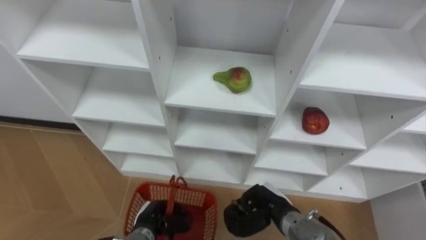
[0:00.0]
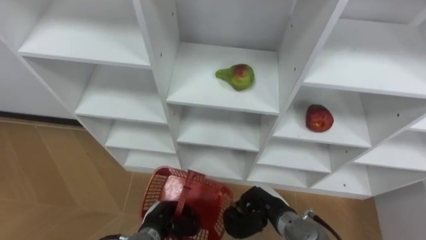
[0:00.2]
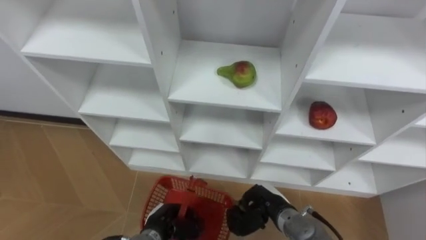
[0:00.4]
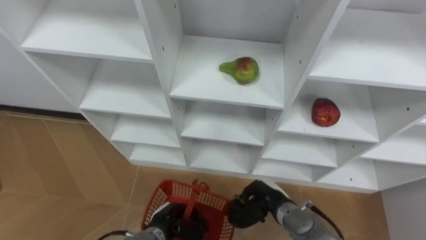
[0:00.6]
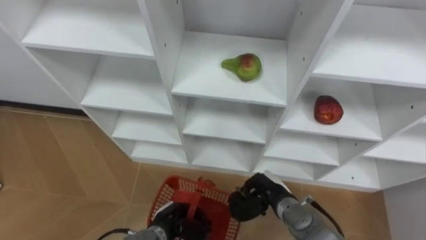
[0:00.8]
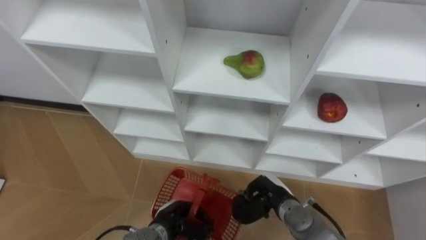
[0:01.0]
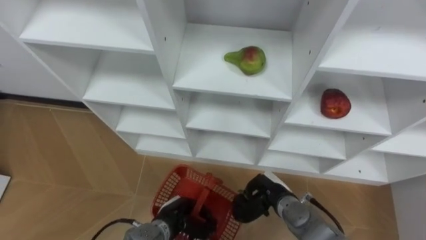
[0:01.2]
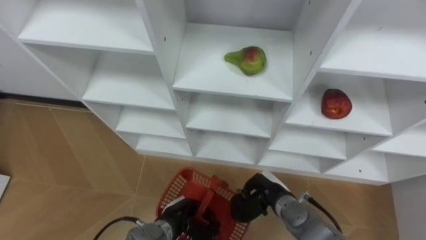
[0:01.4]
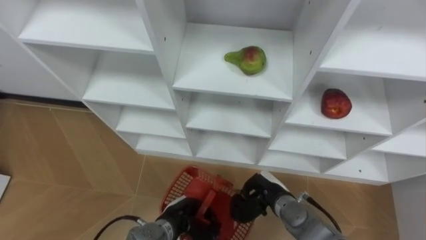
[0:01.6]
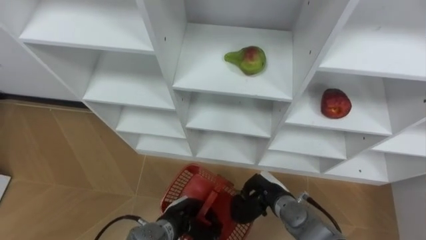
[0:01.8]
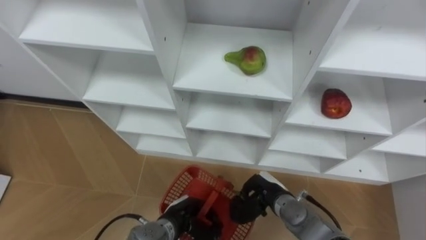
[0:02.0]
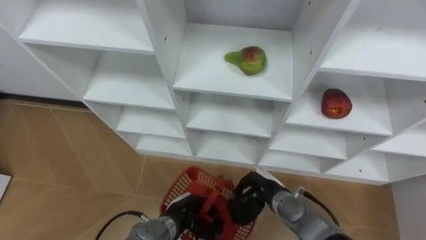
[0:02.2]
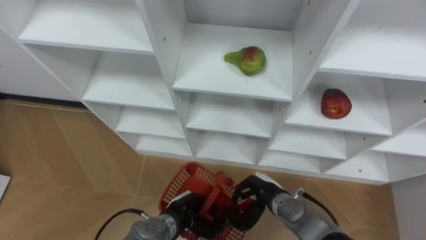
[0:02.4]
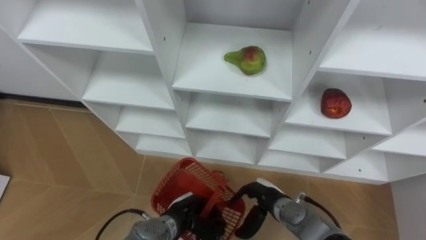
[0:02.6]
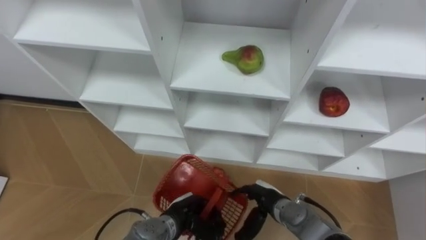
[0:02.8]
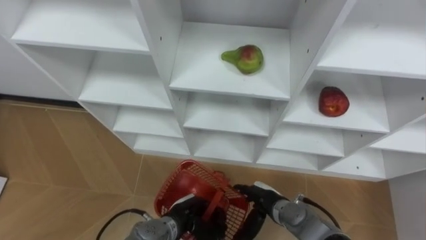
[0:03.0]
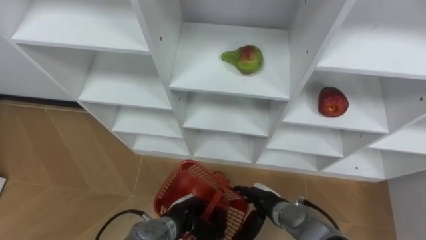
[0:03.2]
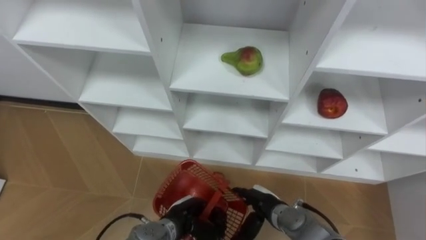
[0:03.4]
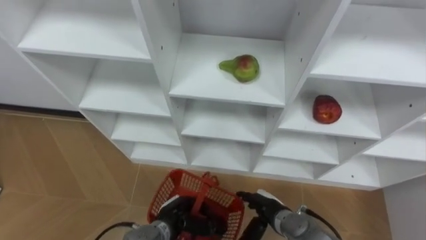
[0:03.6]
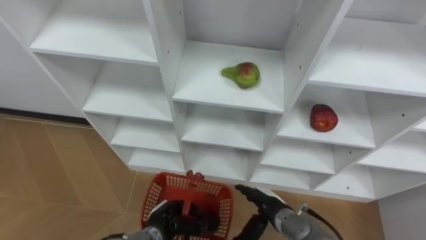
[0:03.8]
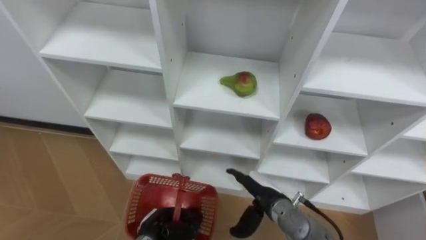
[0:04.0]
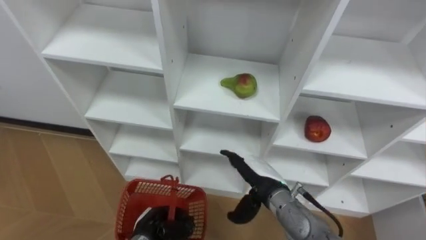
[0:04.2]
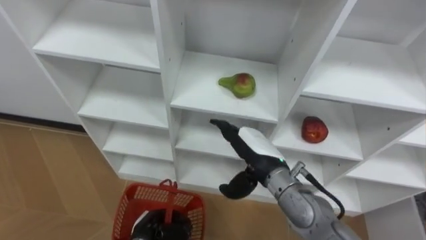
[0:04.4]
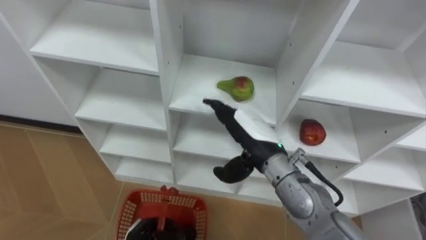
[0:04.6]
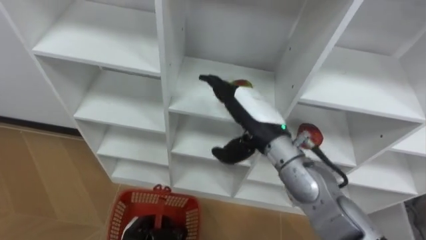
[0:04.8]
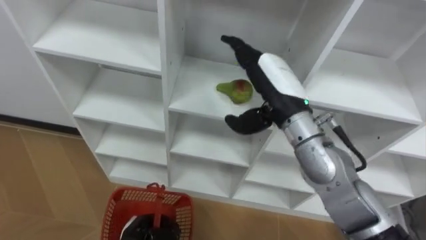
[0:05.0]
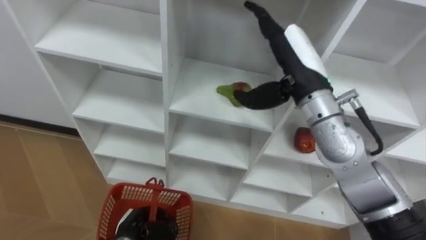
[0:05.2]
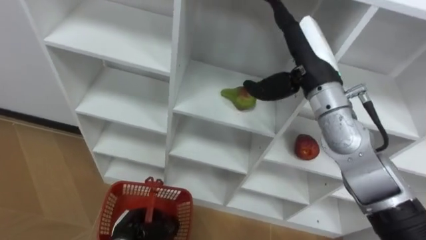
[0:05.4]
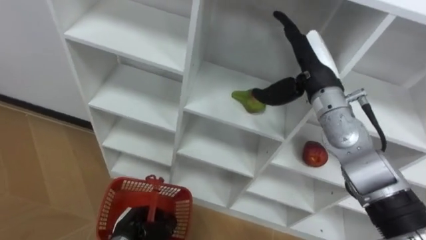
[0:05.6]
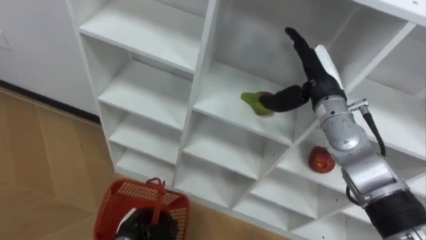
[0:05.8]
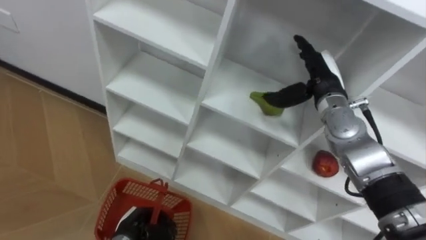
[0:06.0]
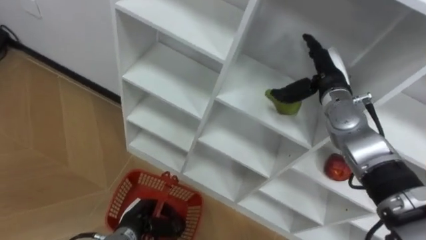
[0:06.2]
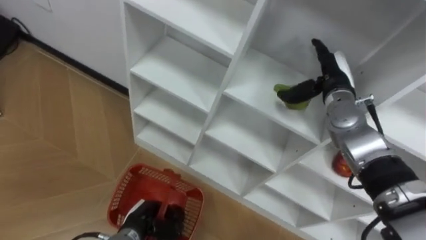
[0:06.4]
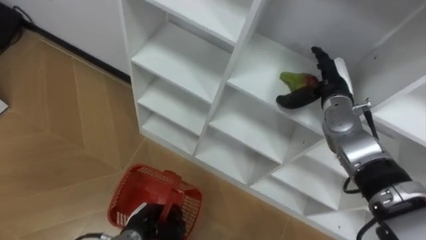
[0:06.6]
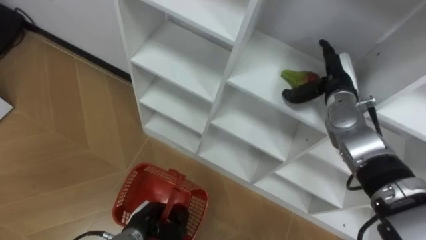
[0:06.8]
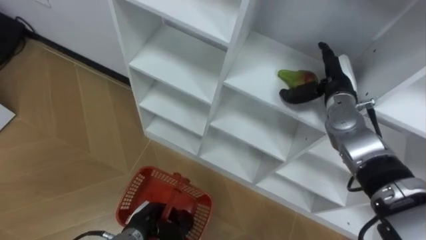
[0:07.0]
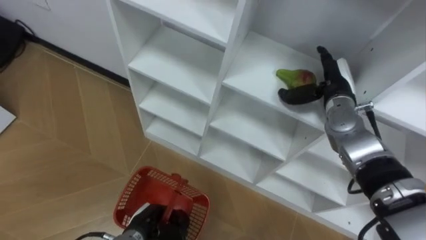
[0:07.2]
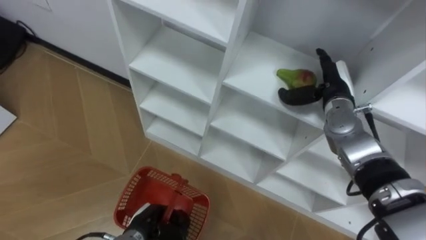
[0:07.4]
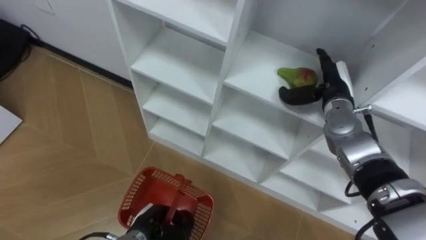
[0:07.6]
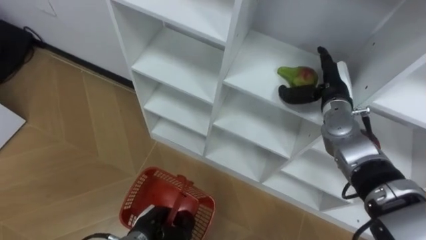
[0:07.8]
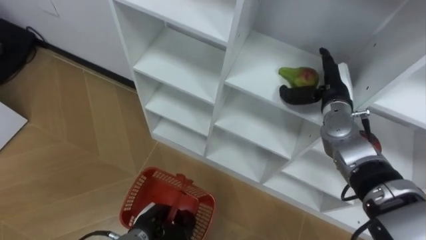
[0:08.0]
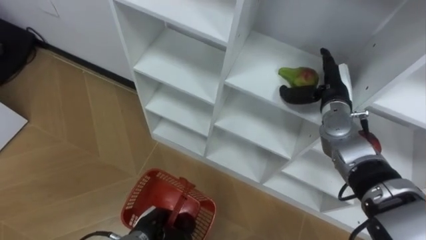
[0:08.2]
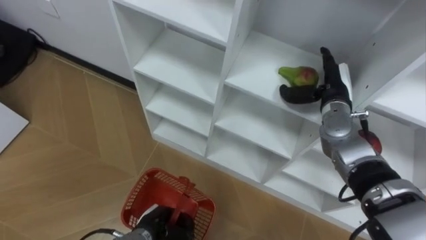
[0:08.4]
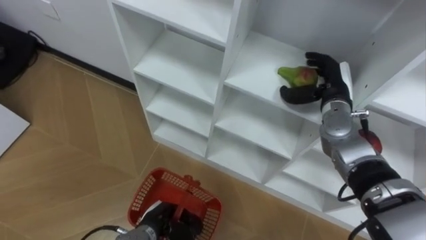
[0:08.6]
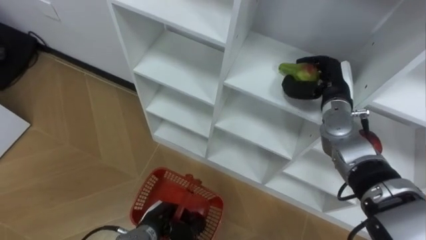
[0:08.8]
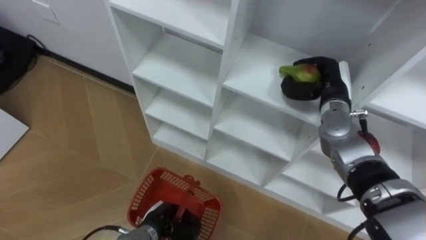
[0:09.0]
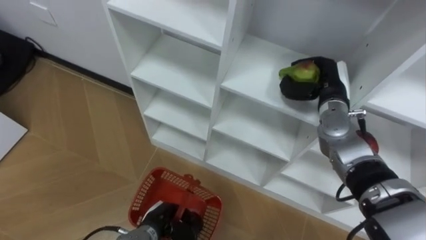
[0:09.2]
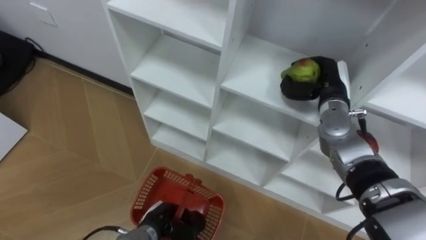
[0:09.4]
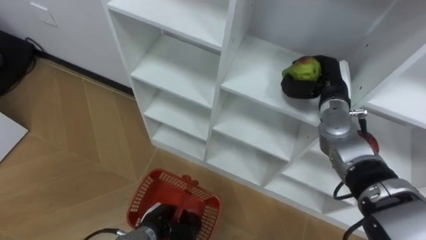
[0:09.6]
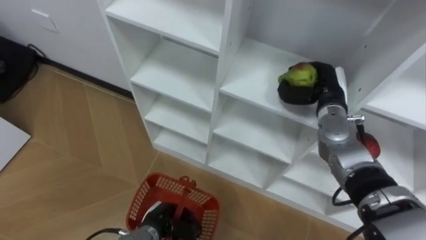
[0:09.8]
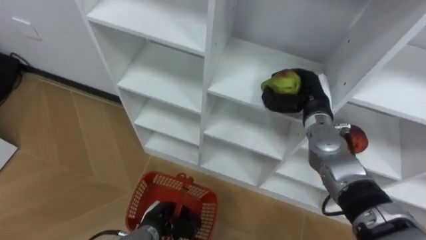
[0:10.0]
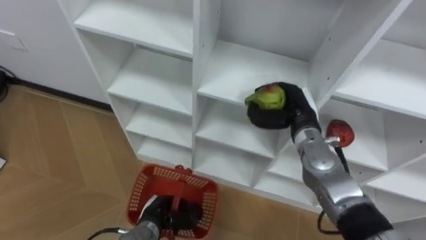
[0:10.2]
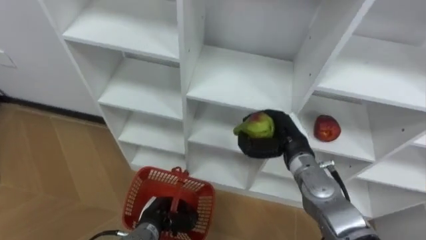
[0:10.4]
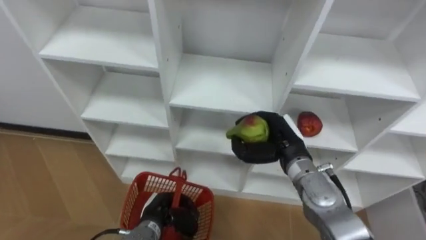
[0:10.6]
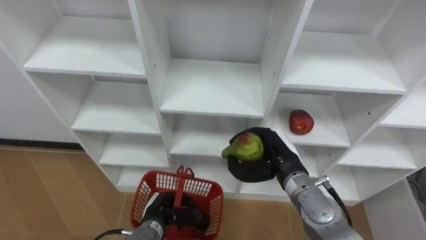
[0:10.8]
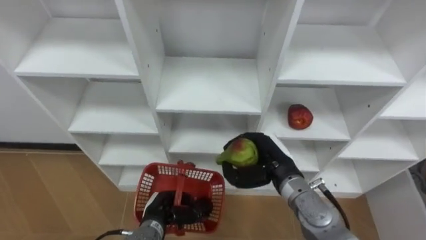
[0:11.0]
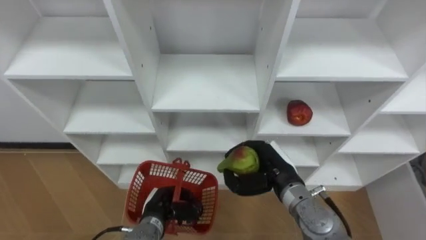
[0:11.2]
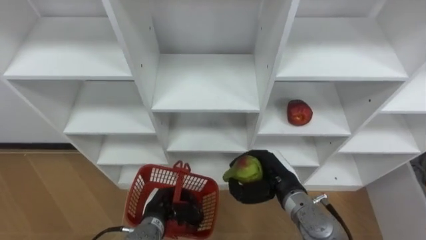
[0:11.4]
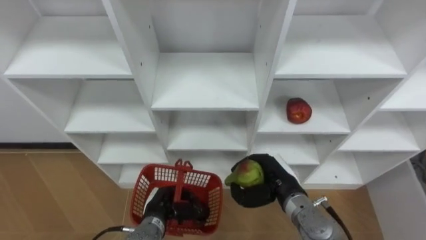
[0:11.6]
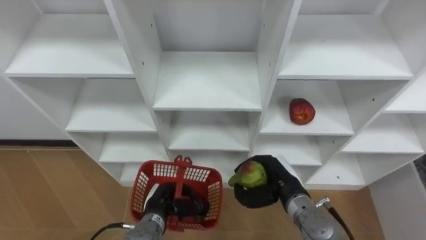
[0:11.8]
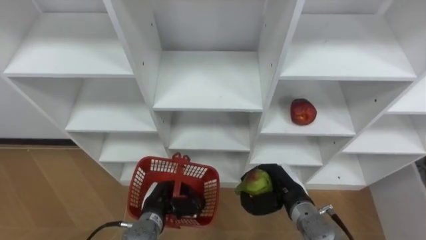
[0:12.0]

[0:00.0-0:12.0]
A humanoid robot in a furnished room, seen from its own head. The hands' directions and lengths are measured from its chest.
Task of the whole recording: Hold the basket and collect the fruits from 3 different cells of the closet into it.
0.0 to 1.6 s: The left hand moves to the right, some 5 cm.
1.6 to 3.0 s: The right hand opens.
3.0 to 4.4 s: The left hand heads to the left, covering some 10 cm. Meanwhile the right hand is displaced upward by approximately 15 cm.
4.4 to 6.0 s: The right hand is displaced forward, to the right and upward by roughly 20 cm.
6.0 to 7.6 s: The right hand changes place by some 5 cm.
7.6 to 9.0 s: The right hand closes its fingers.
9.0 to 10.4 s: The right hand is displaced backward and to the left by approximately 10 cm.
10.4 to 12.0 s: The right hand moves backward and downward, roughly 10 cm.

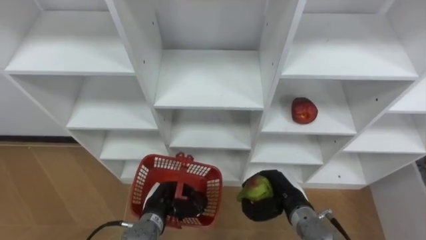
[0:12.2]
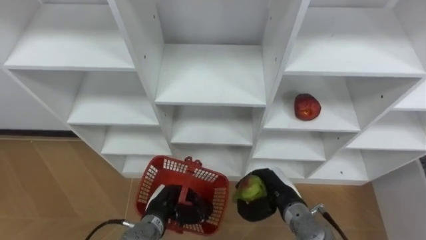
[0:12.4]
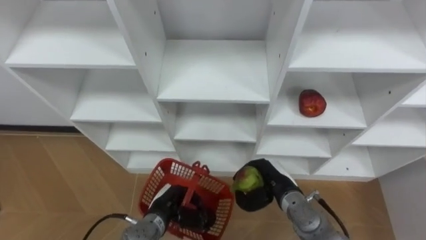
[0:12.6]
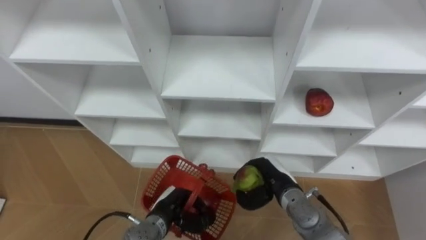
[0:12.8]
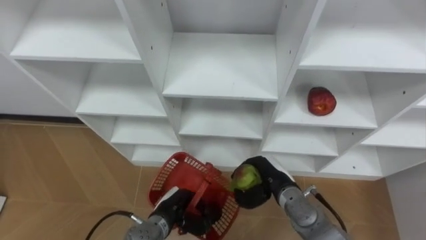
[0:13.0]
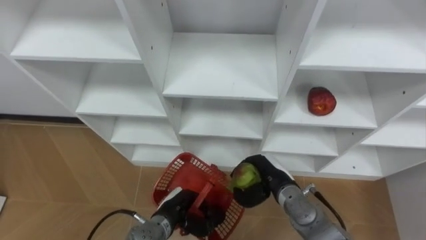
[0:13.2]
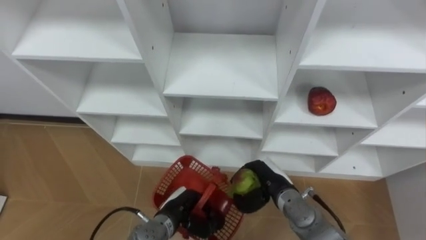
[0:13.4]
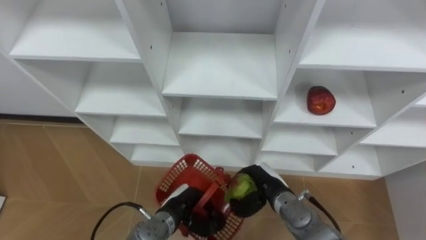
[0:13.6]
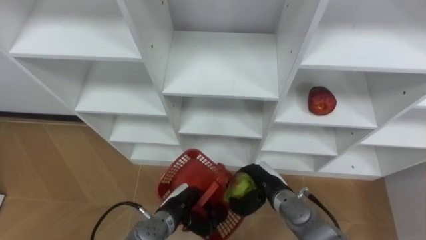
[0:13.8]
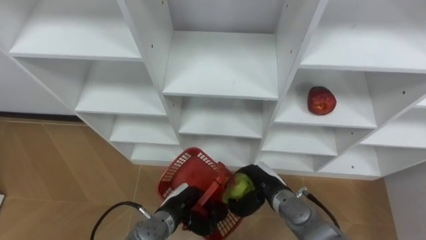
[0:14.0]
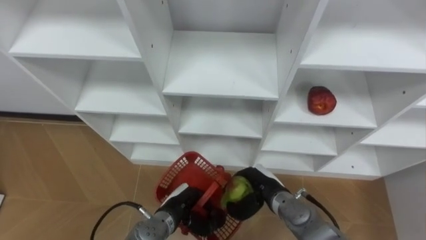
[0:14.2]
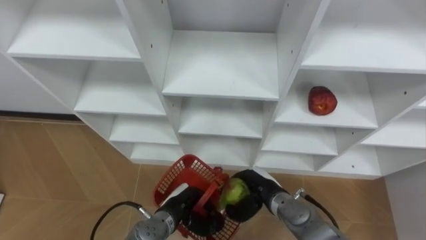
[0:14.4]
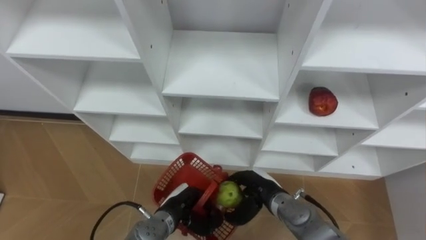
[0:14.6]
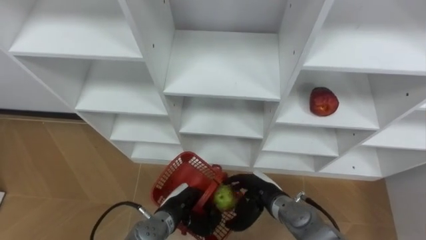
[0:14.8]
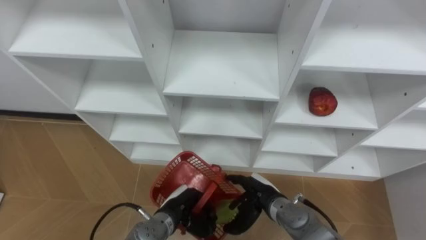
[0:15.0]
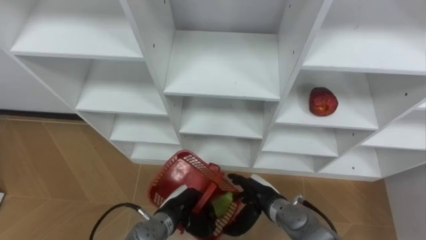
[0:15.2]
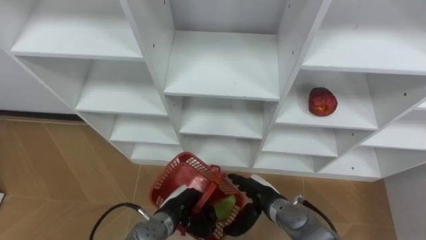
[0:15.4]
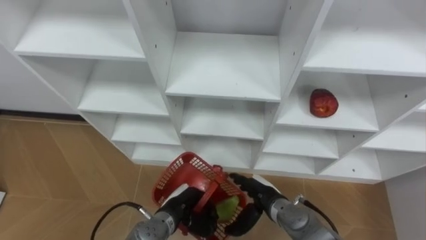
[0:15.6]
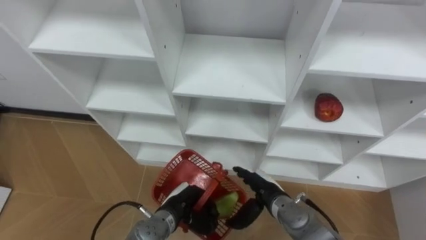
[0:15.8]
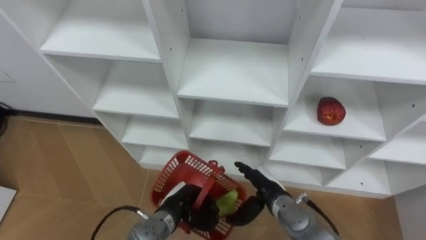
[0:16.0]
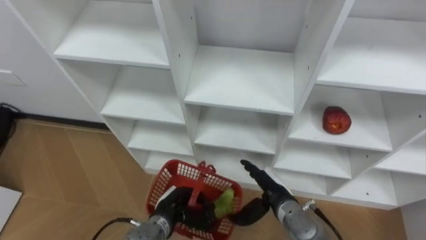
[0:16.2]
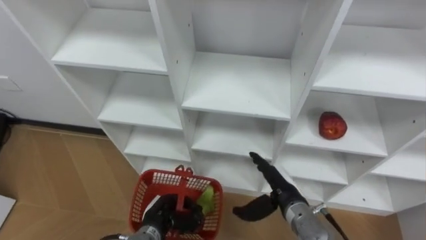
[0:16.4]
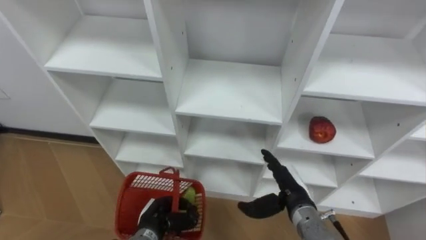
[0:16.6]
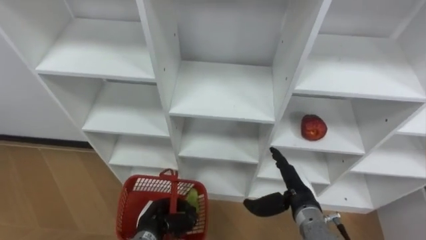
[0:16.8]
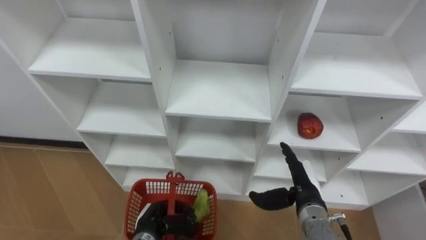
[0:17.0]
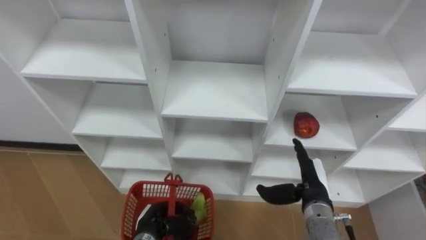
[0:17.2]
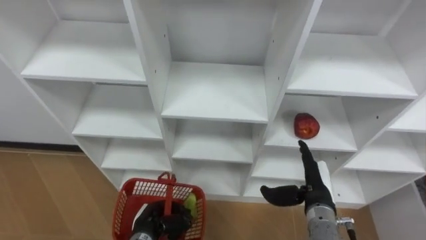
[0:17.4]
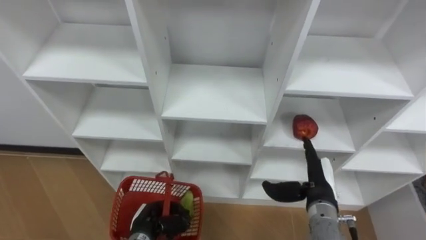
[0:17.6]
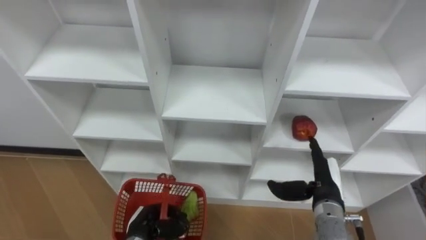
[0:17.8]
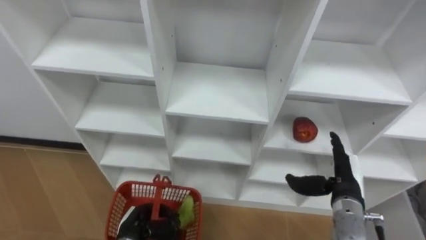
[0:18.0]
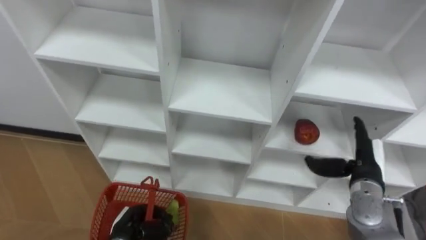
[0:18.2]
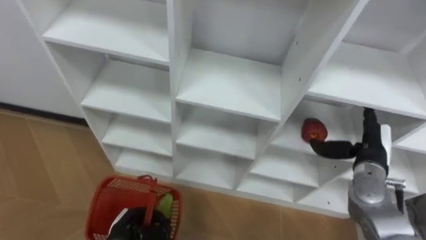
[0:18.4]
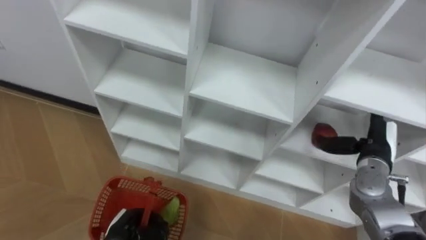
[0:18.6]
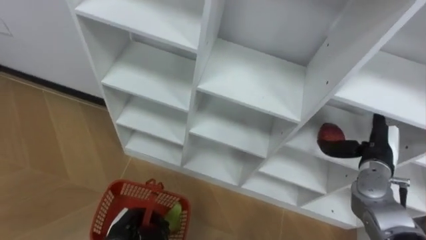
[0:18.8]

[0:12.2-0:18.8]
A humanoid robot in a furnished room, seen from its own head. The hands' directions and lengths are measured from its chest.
Task of the whole recording: Hold the basket and collect the fruits from 3 different cells of the closet into it.
12.2 to 13.8 s: The right hand shifts by approximately 5 cm.
13.8 to 15.4 s: The right hand opens.
15.4 to 17.2 s: The right hand heads to the right and upward, covering about 10 cm. The left hand is displaced to the left by about 5 cm.
17.2 to 18.8 s: The left hand heads to the left, covering about 5 cm, while the right hand is displaced to the right and forward by roughly 15 cm.
